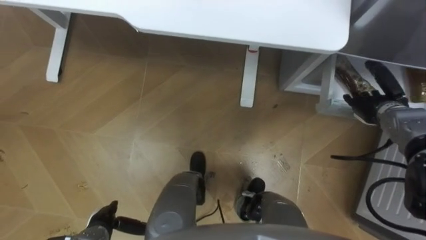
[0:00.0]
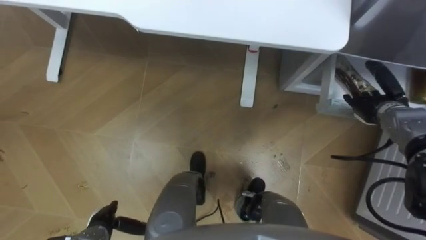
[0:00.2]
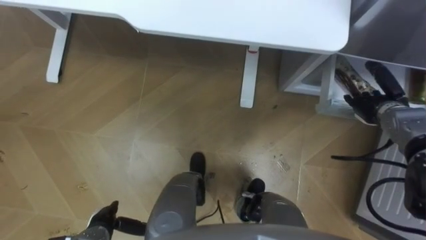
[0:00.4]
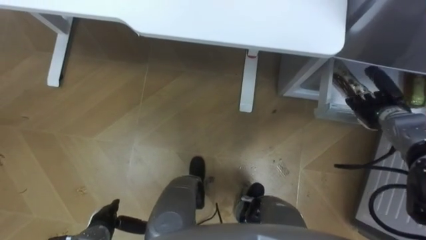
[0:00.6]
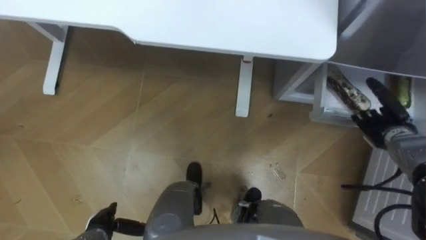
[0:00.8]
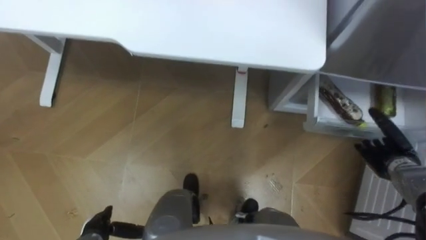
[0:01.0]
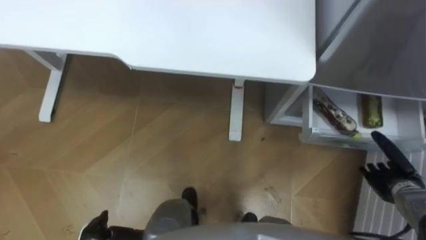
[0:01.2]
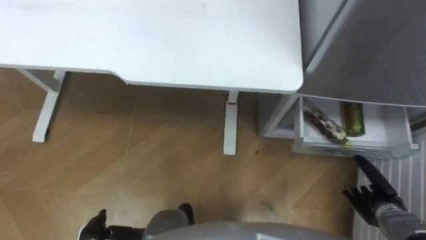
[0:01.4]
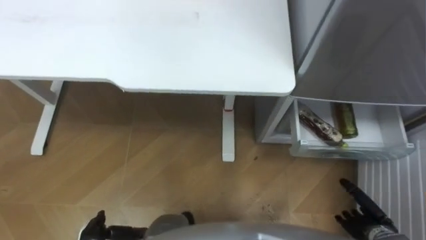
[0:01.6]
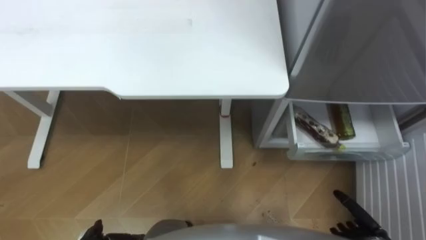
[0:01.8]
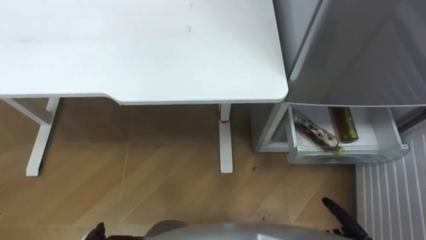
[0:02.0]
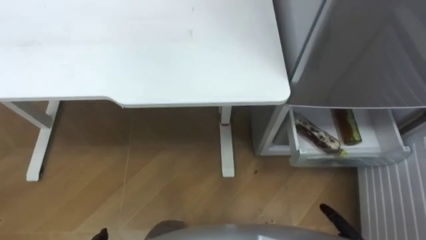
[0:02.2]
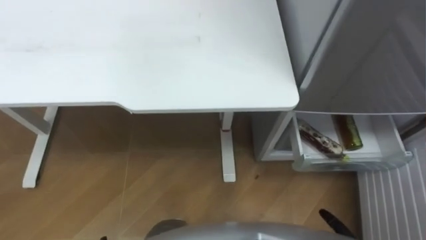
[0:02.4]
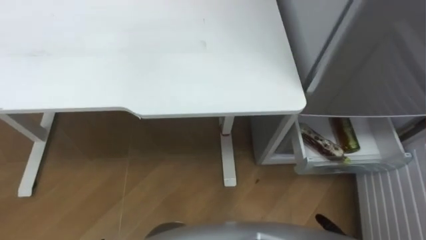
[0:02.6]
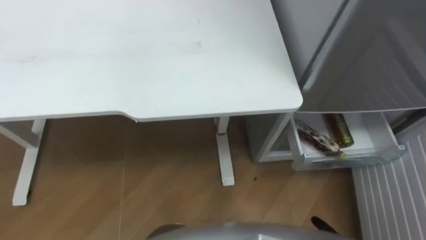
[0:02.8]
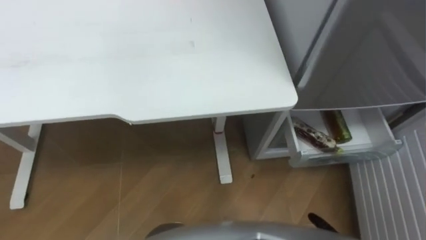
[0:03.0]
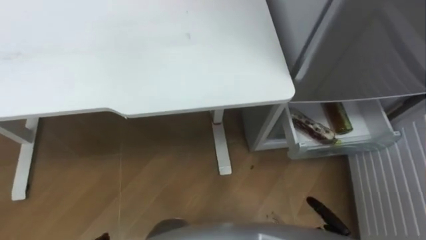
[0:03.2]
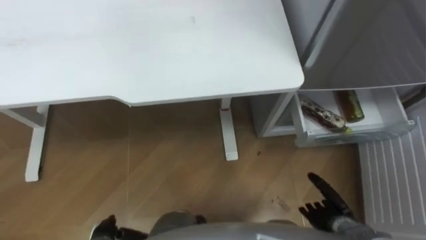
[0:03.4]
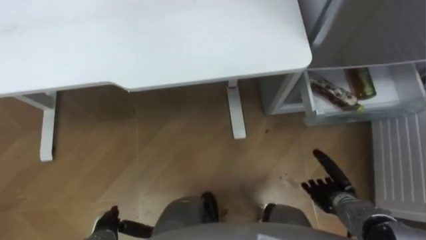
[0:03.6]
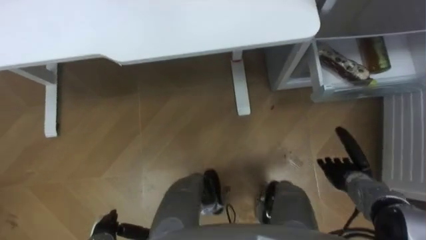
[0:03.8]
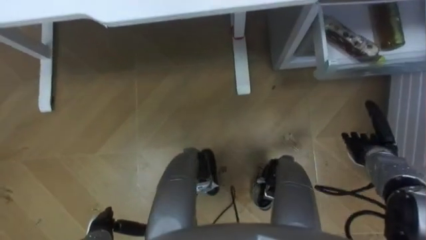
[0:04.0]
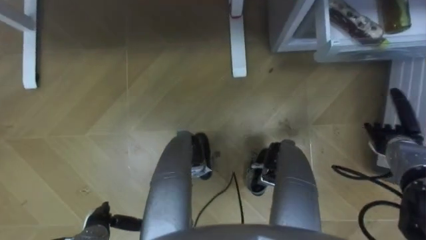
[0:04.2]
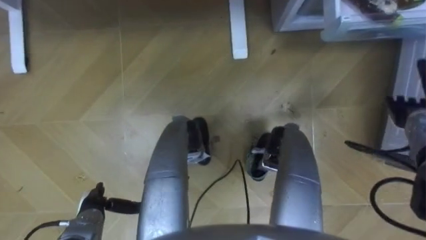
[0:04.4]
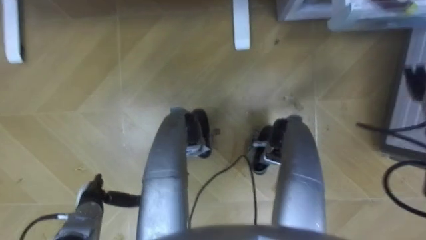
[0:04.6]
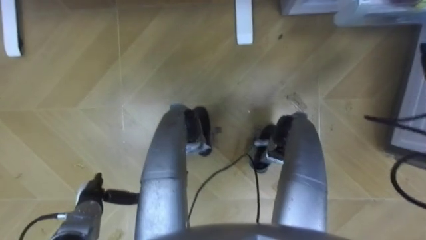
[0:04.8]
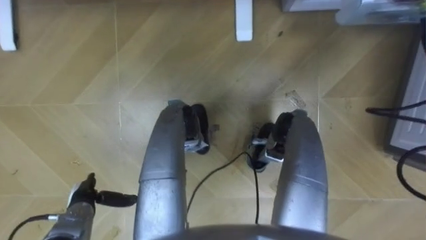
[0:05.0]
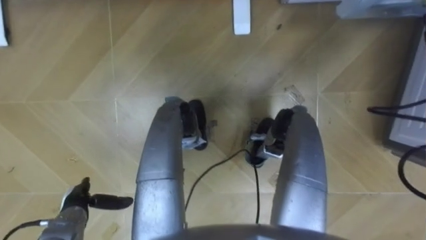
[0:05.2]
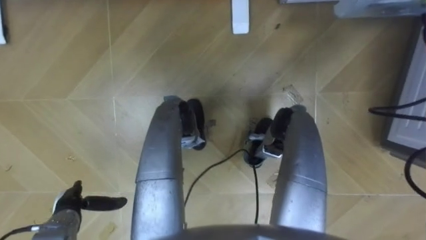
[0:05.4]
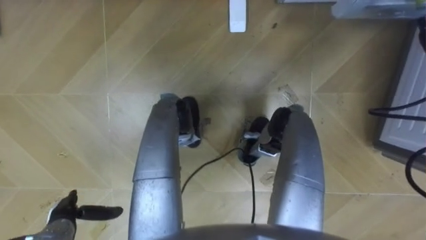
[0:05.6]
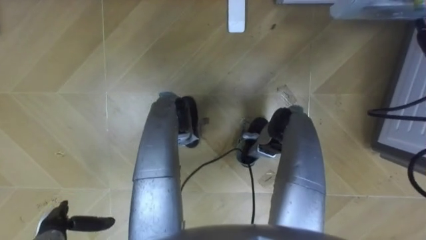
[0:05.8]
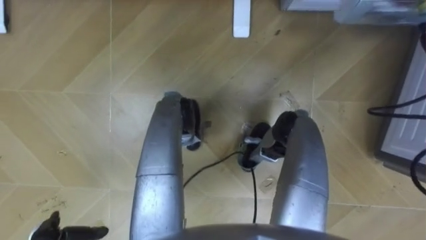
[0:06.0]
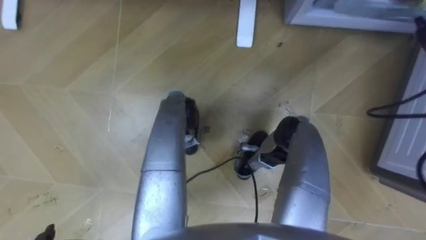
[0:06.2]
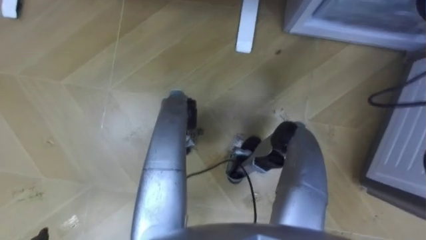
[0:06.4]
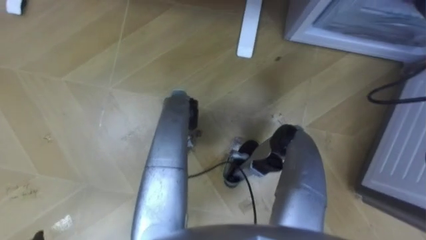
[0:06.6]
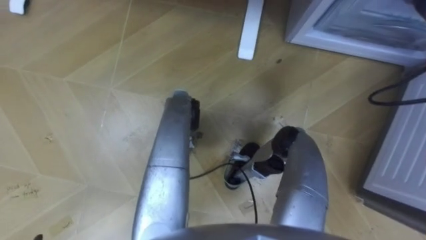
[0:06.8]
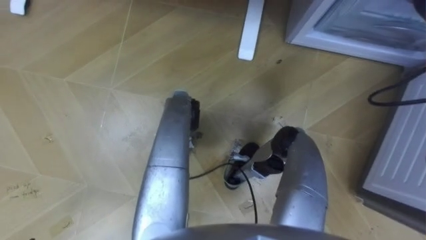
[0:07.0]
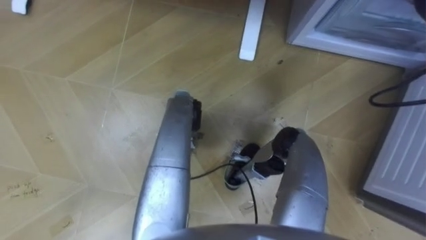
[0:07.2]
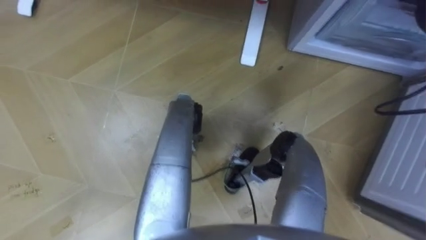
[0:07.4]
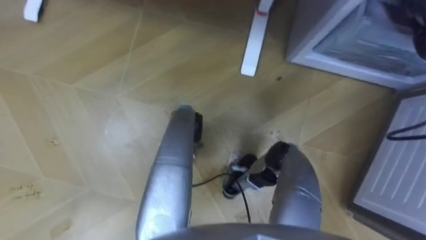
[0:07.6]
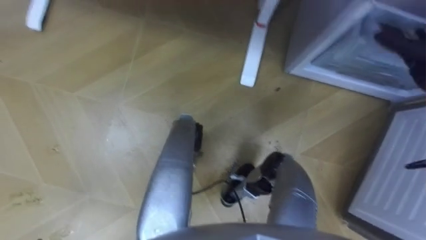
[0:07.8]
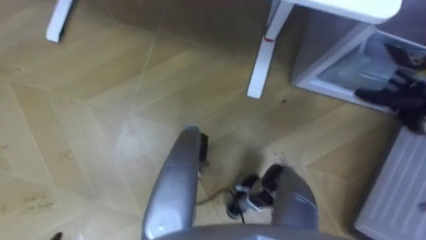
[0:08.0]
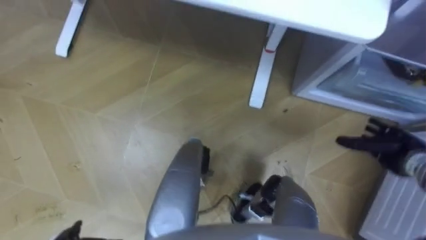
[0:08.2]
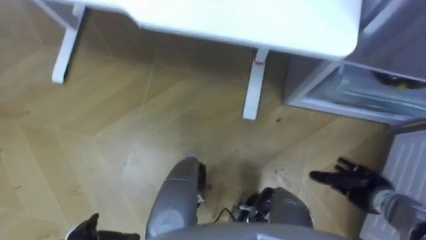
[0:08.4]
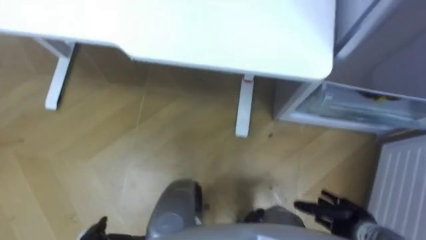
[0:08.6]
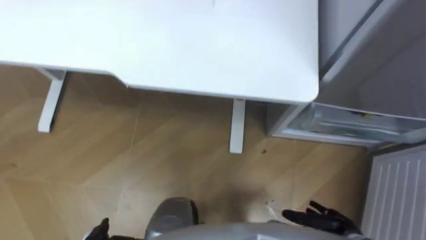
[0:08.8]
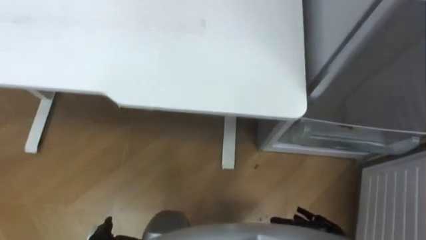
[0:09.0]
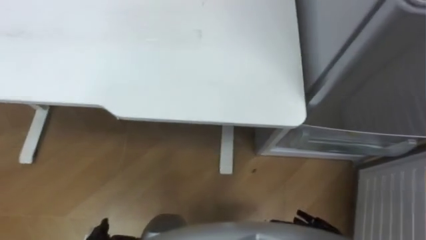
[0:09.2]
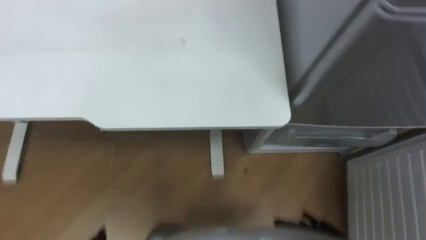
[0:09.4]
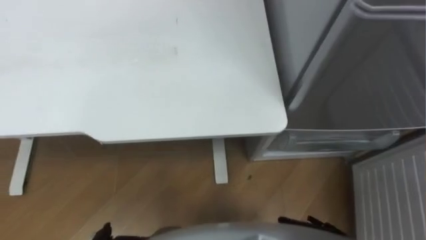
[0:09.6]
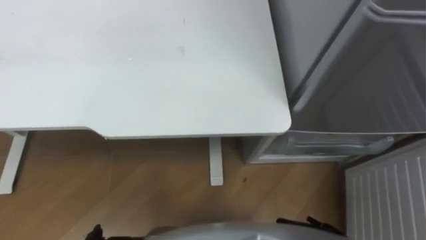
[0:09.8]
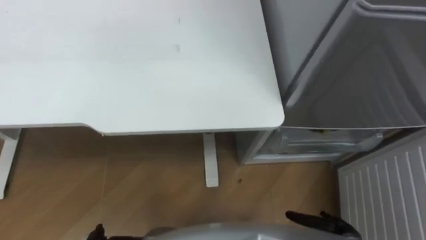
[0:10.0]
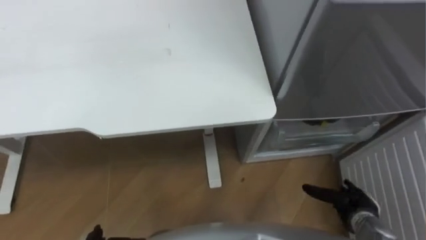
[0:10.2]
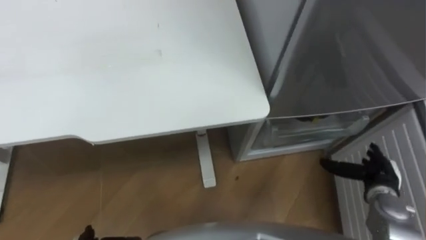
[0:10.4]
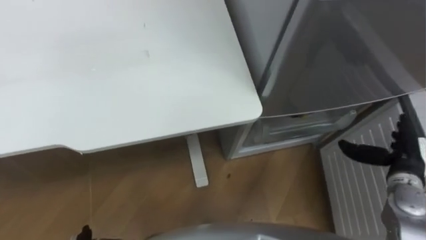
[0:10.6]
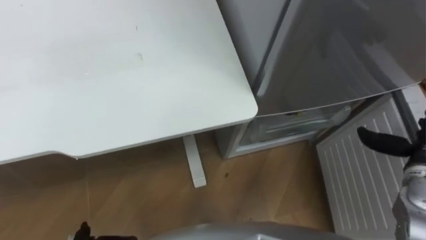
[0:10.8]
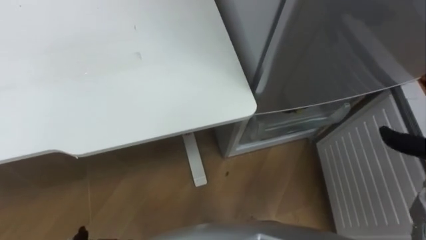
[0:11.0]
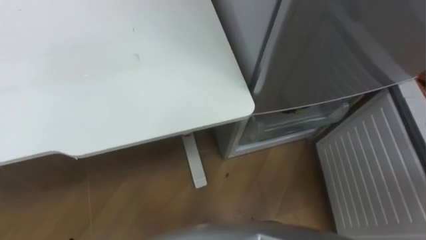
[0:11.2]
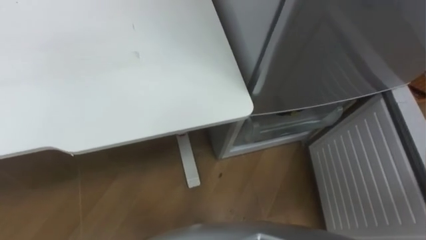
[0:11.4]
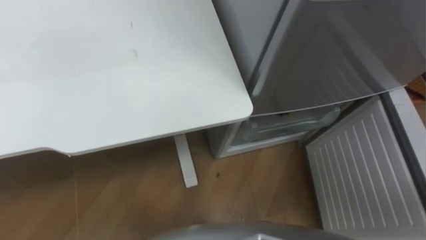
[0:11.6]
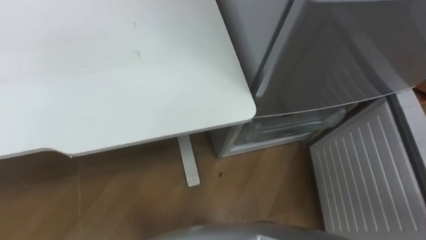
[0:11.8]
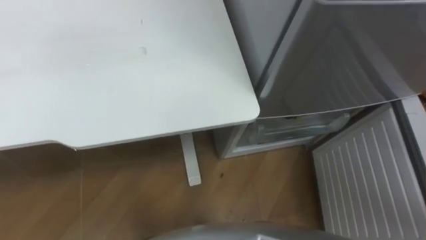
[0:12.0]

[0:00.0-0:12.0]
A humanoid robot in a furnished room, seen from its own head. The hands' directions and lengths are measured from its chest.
Task of the whole recording: Place the drink on the table on the bottom shelf of the refrigerator, then close the drawer and the refrigerator door.
0:00.0 to 0:01.6: The right hand heads backward and downward, covering approximately 25 cm.
0:04.4 to 0:06.0: The left hand travels to the left by about 5 cm.

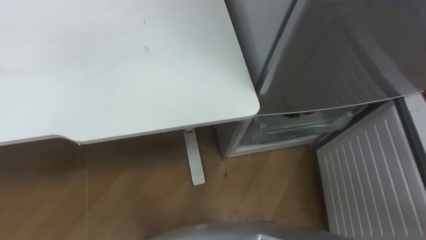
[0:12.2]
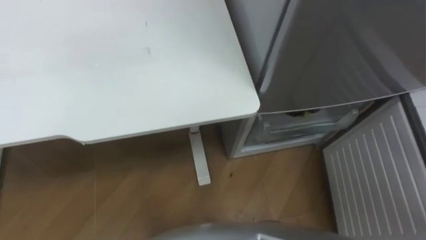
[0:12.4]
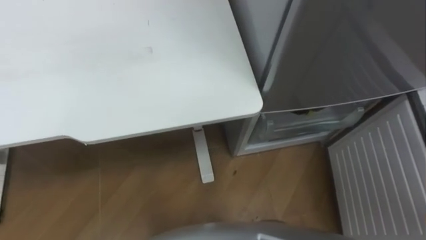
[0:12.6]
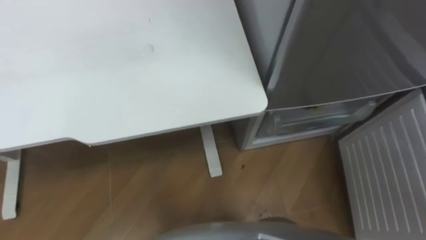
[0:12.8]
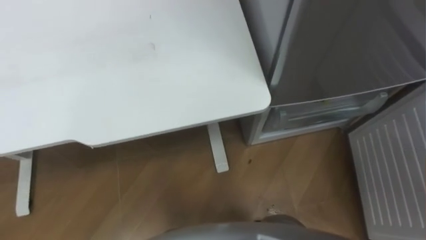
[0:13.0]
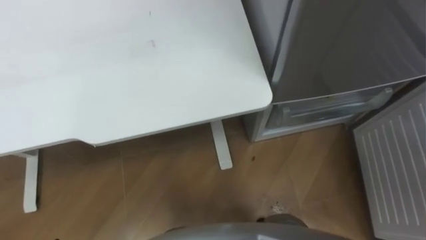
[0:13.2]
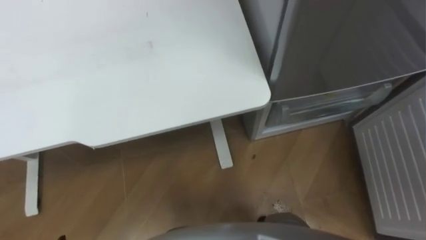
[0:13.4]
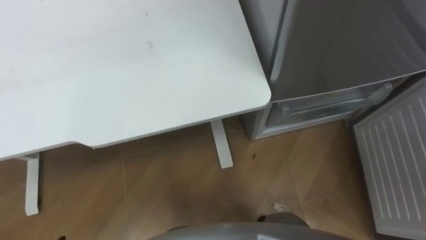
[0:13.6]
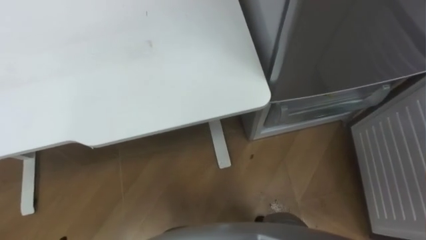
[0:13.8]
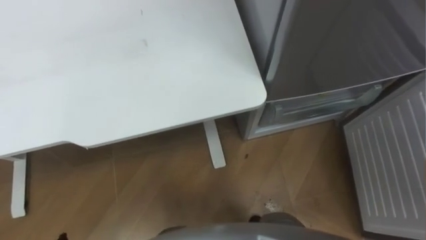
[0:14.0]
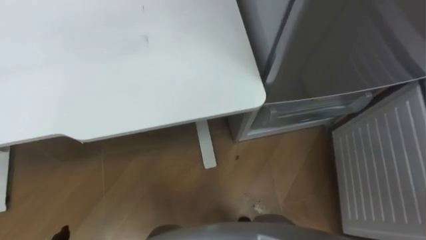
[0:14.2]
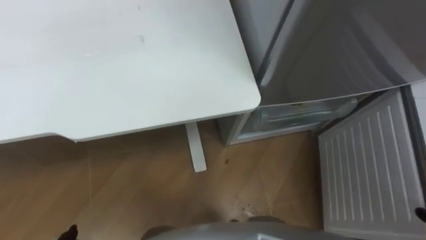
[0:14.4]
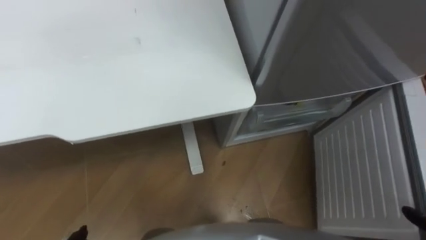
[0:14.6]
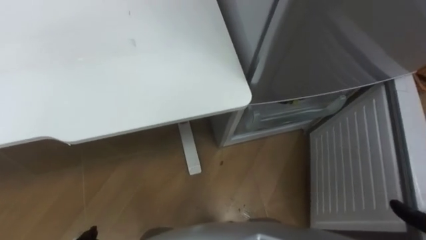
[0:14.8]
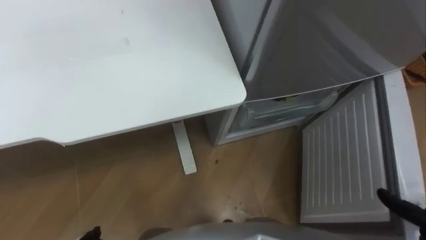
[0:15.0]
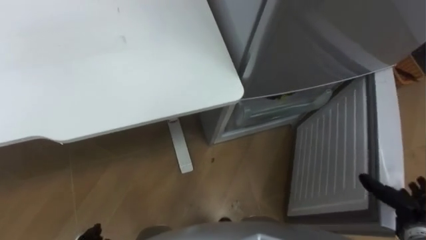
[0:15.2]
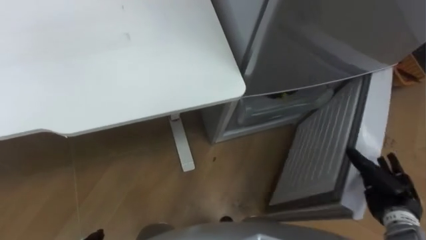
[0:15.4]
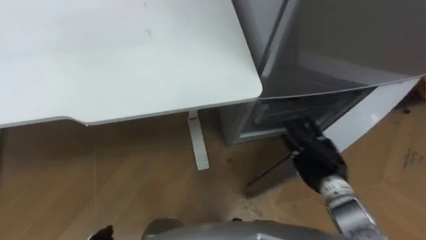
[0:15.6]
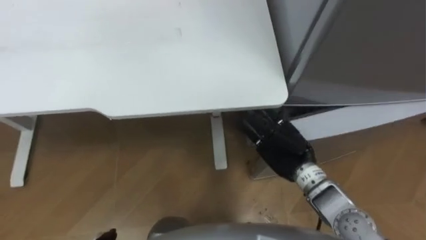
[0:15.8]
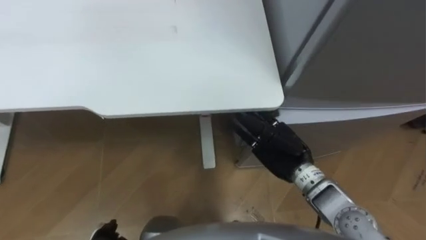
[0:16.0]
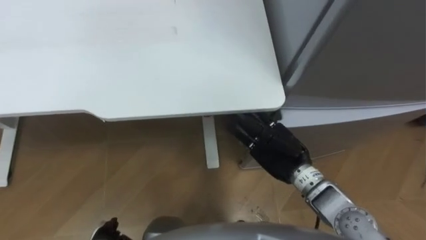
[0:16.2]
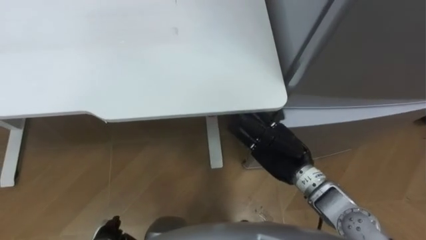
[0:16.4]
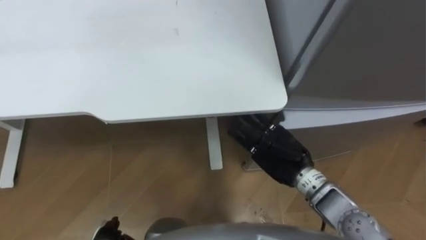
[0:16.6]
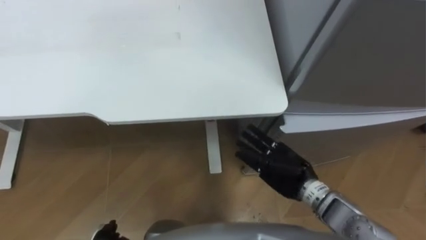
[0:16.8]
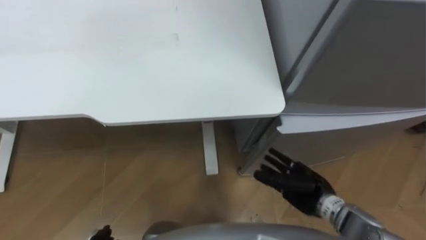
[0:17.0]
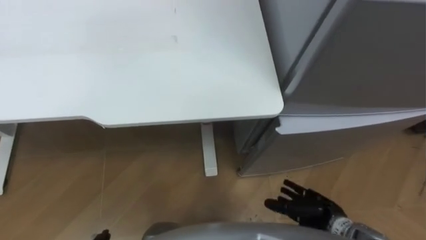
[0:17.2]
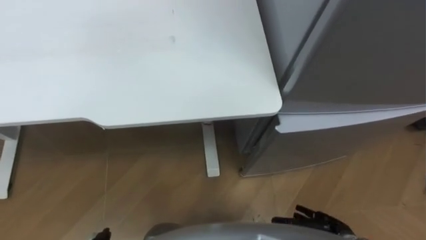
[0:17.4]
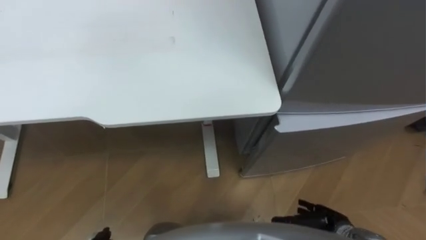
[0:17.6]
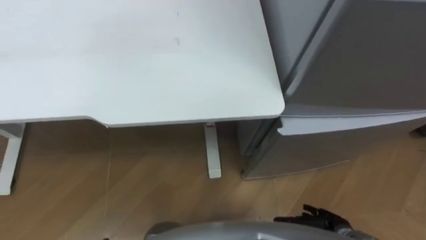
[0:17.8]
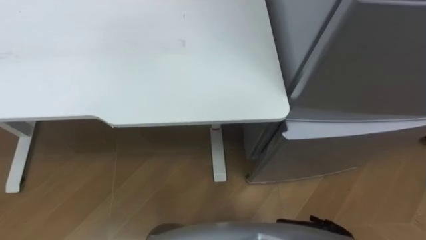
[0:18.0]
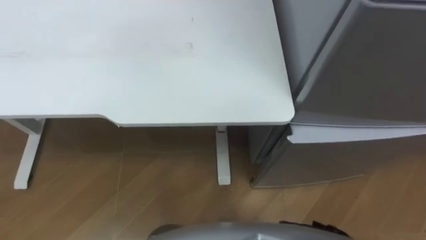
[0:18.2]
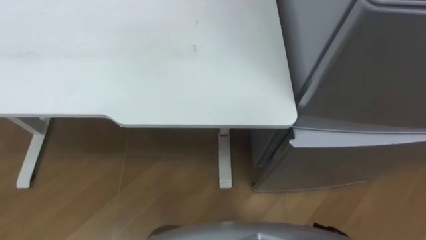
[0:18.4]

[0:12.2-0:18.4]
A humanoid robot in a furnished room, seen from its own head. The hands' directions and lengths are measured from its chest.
Task of the whole recording: Place the drink on the table on the bottom shelf of the refrigerator, then close the drawer and the refrigerator door.
0:15.4 to 0:16.8: The right hand travels to the left by some 20 cm.
